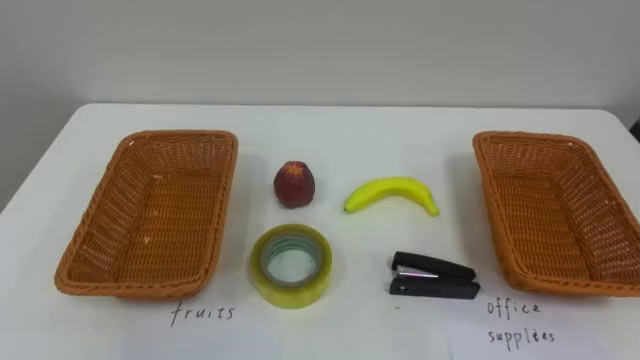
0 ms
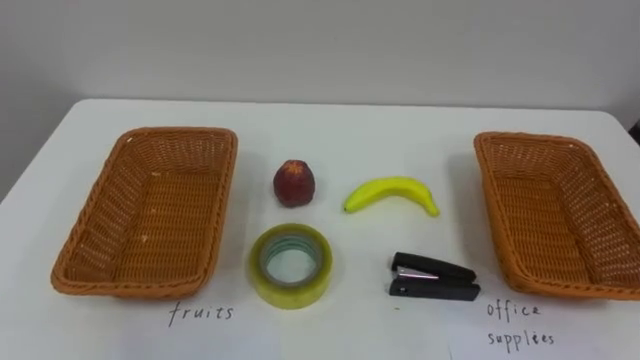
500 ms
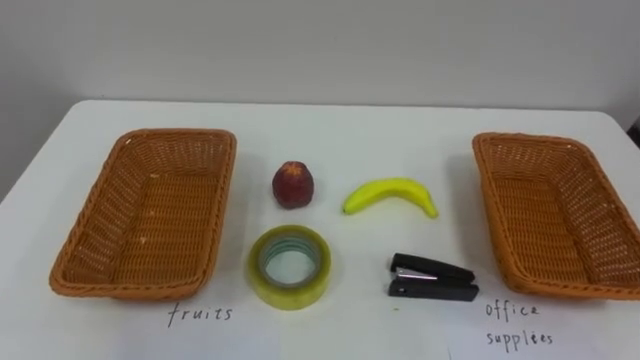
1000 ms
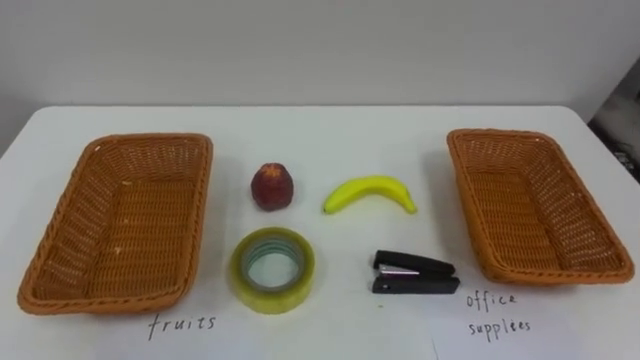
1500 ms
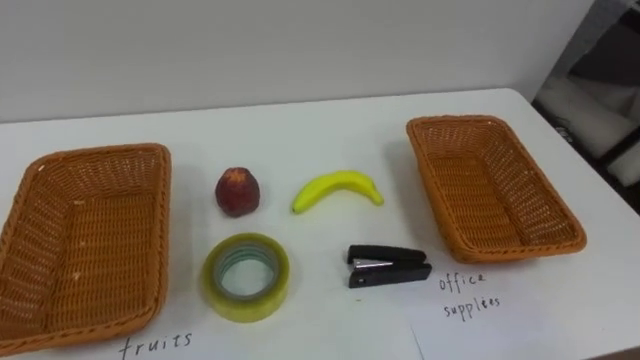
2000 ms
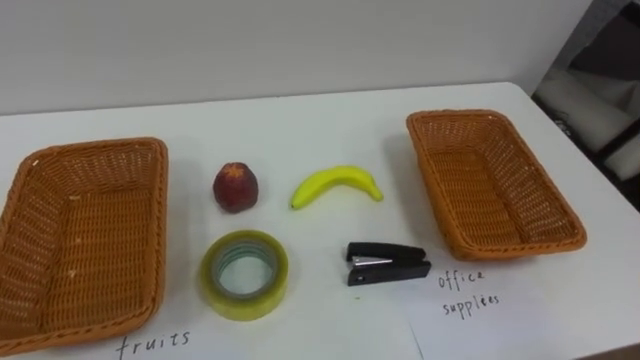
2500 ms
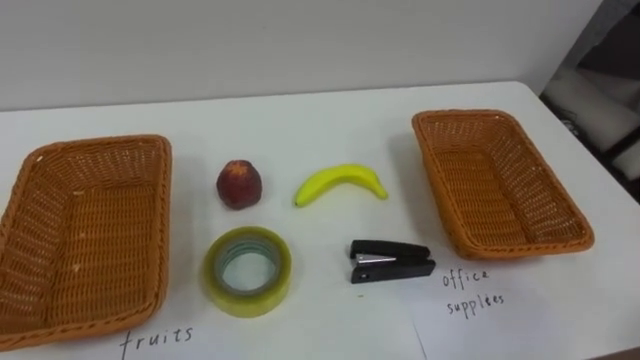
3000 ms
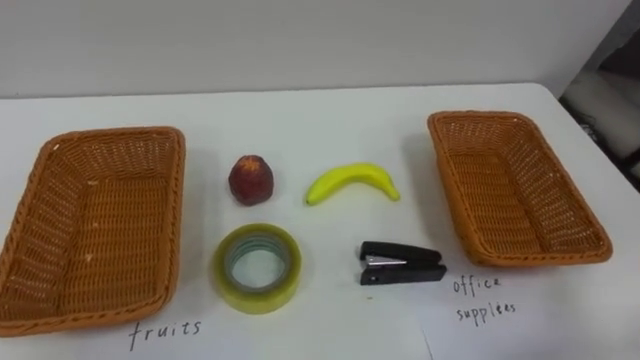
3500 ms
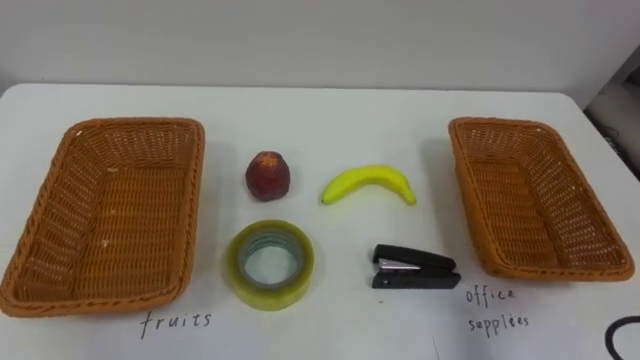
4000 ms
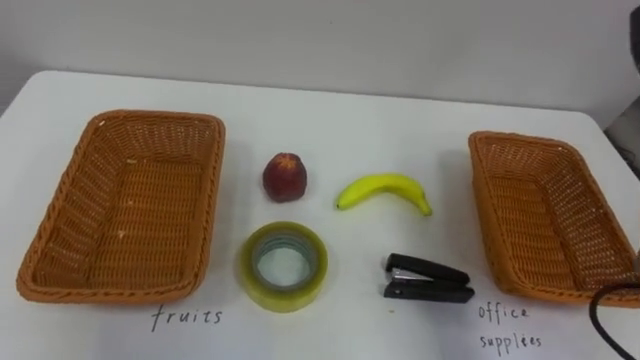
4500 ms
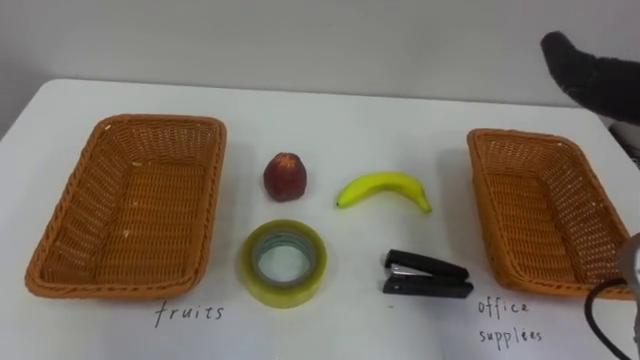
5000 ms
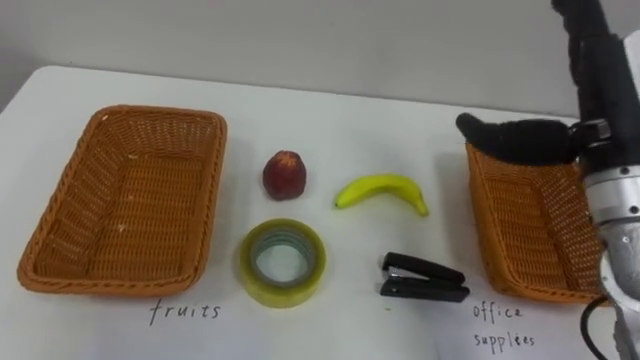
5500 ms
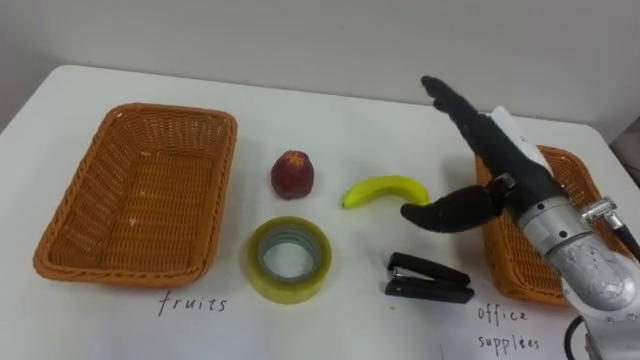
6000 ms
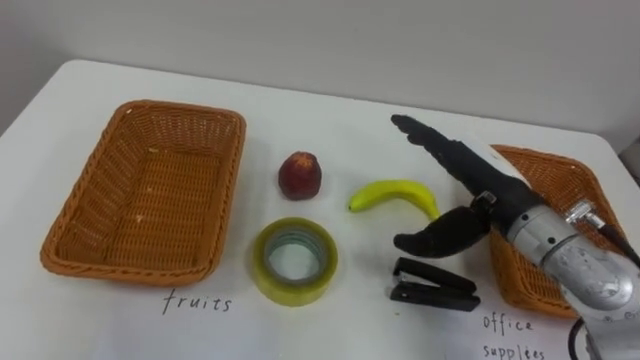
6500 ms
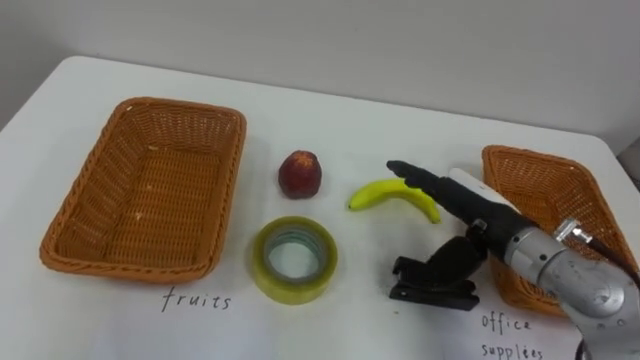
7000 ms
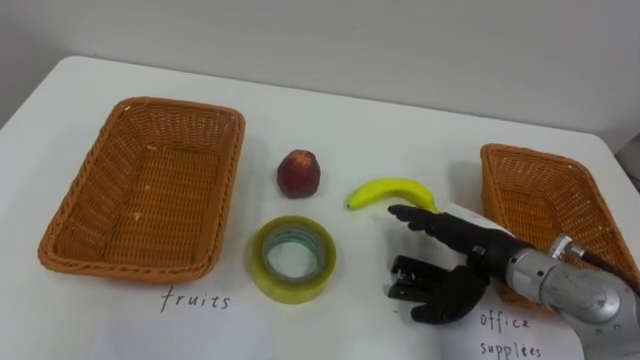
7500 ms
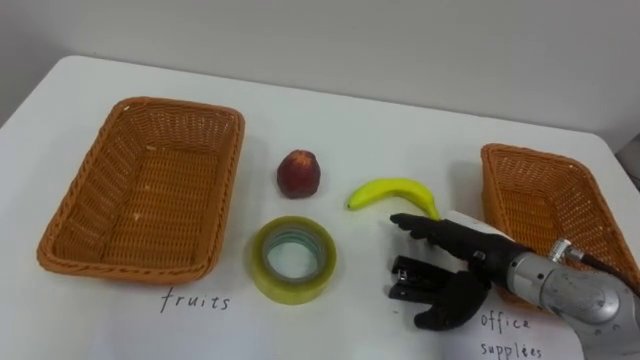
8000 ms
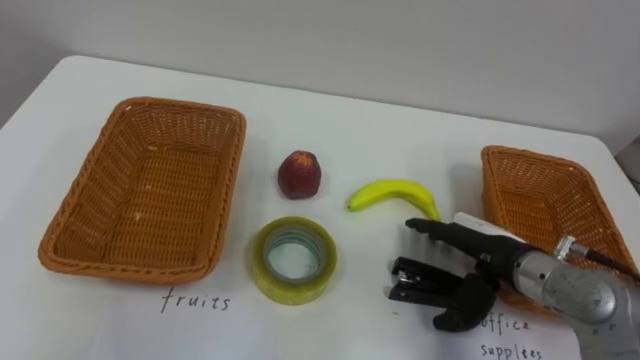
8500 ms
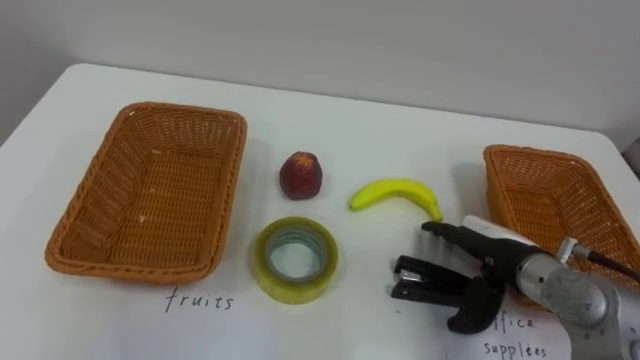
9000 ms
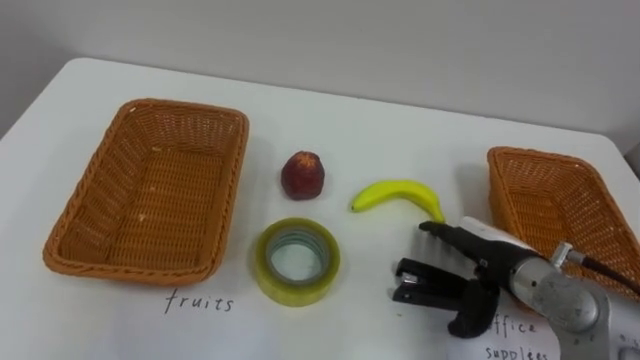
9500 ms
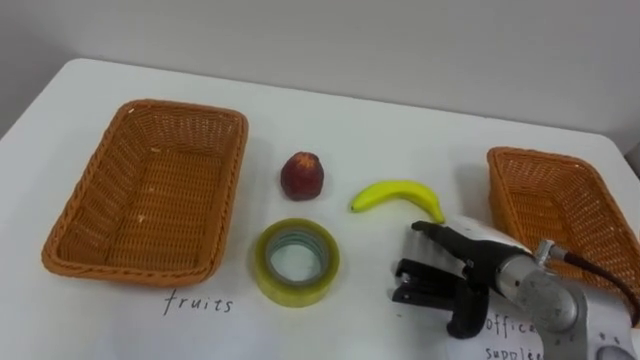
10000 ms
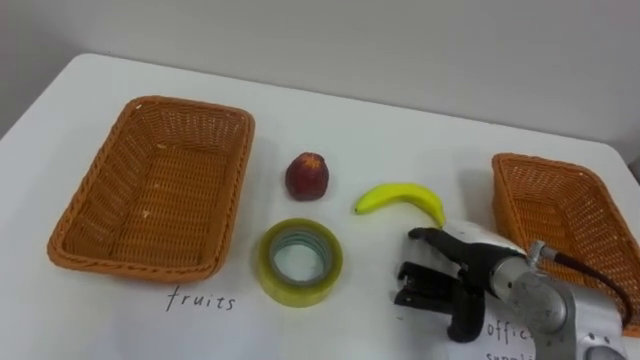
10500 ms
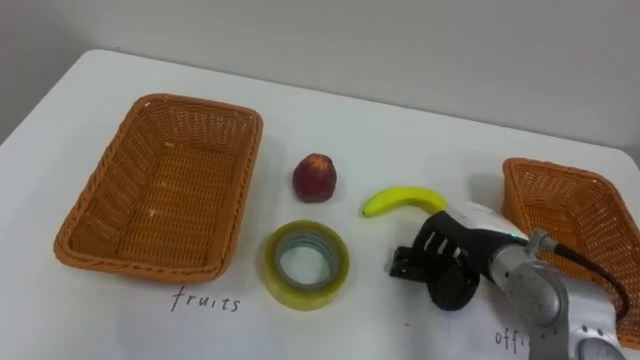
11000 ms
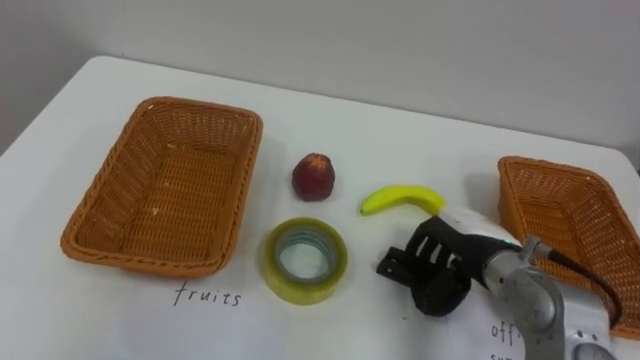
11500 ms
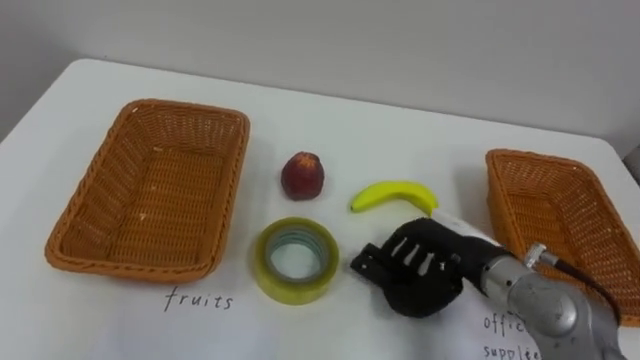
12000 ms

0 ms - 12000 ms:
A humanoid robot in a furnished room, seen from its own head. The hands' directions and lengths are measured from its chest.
Task of the whole recording: Separate the items on the table and place them into the two baskets.
6000 ms - 8000 ms: The right hand heads downward, covering some 10 cm.
10000 ms - 12000 ms: The right hand closes its fingers.

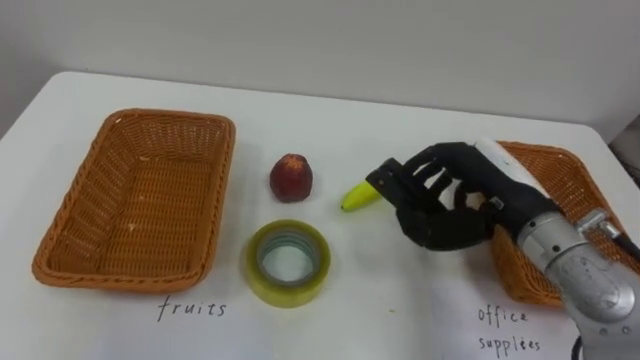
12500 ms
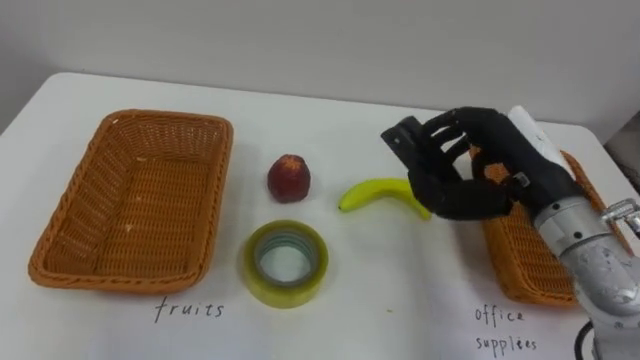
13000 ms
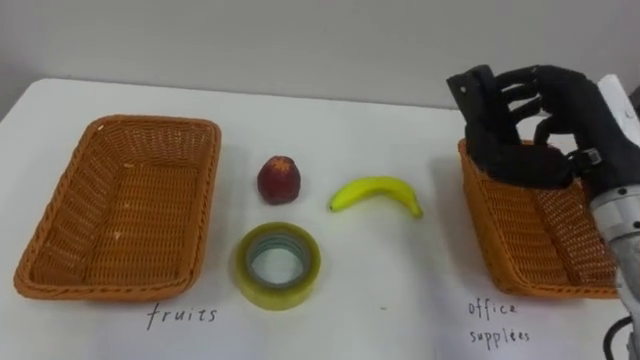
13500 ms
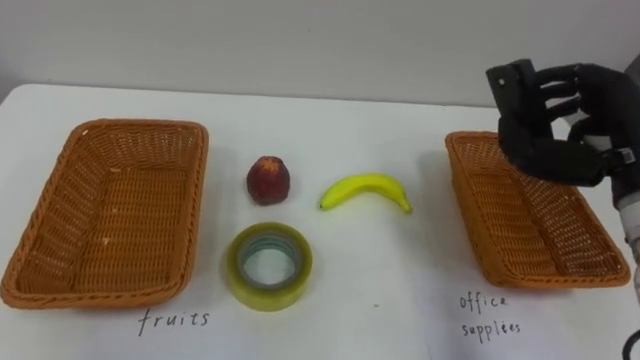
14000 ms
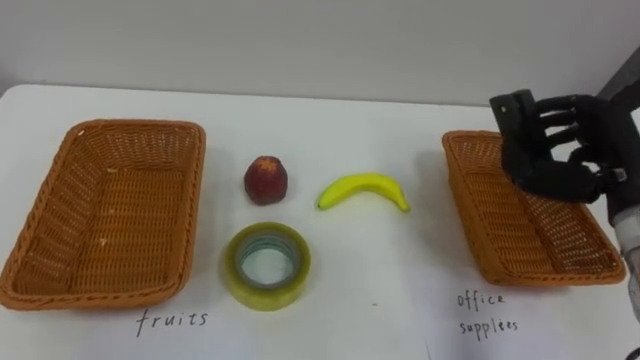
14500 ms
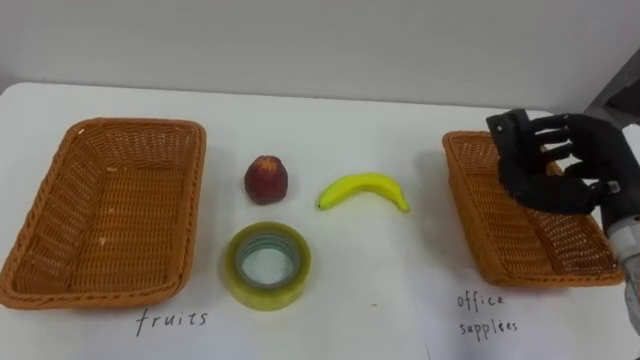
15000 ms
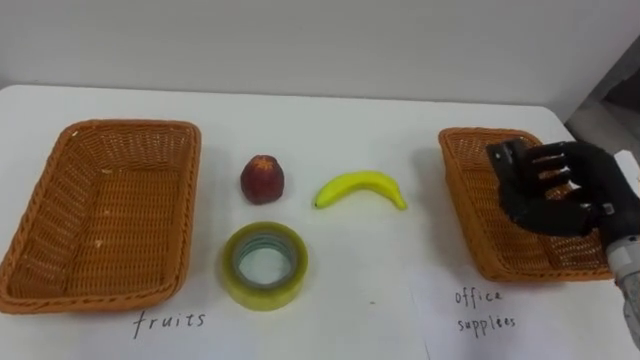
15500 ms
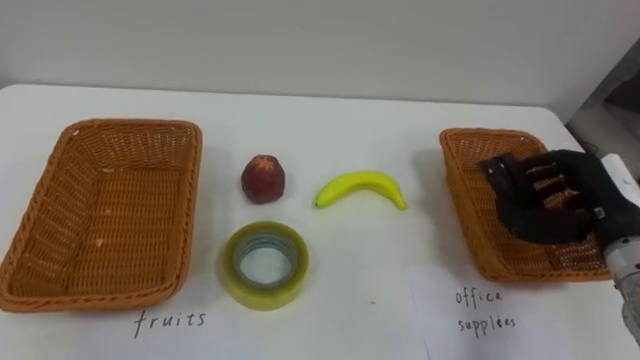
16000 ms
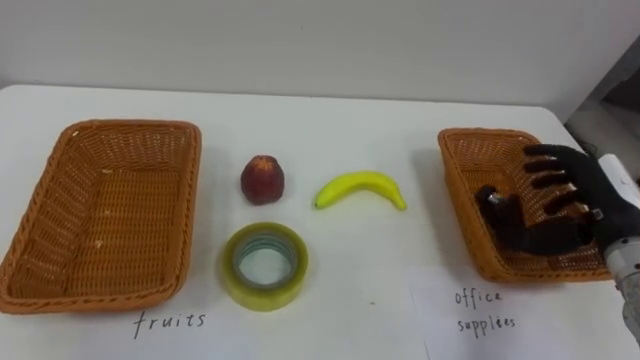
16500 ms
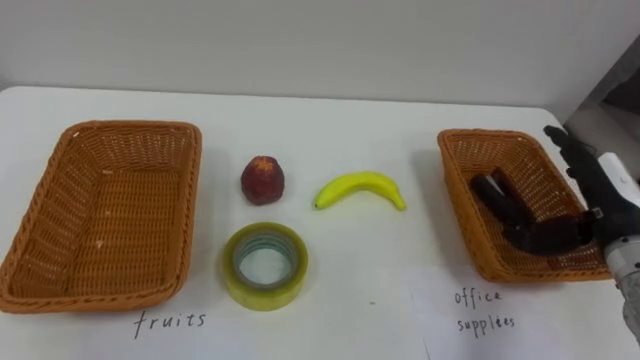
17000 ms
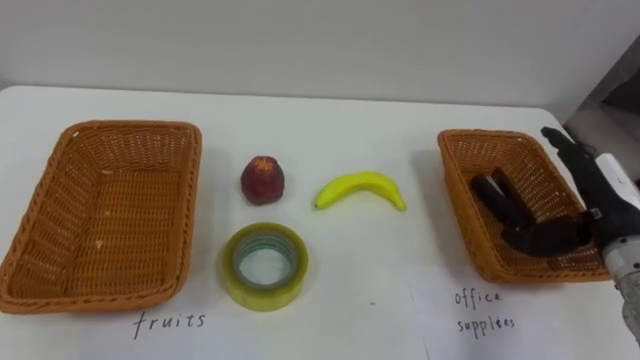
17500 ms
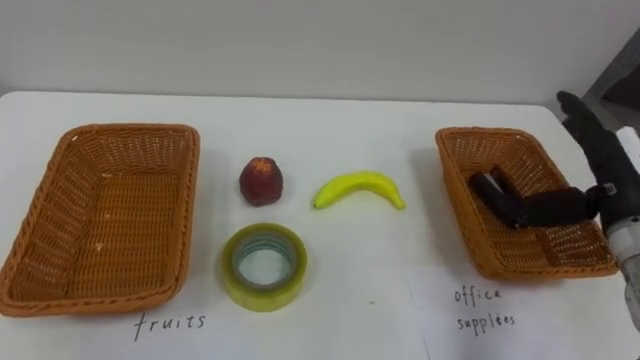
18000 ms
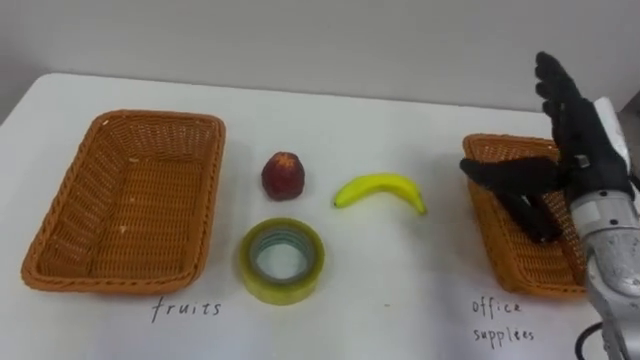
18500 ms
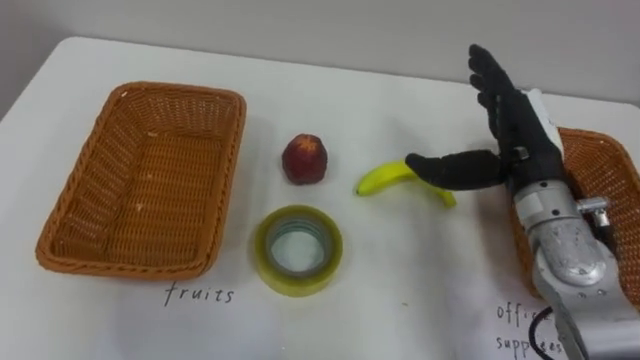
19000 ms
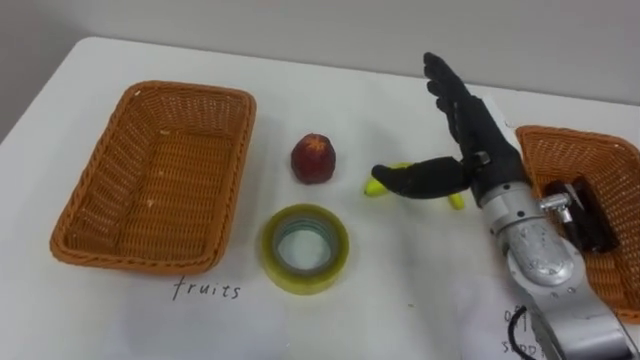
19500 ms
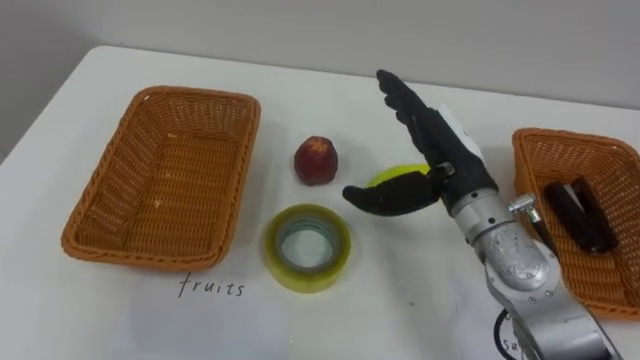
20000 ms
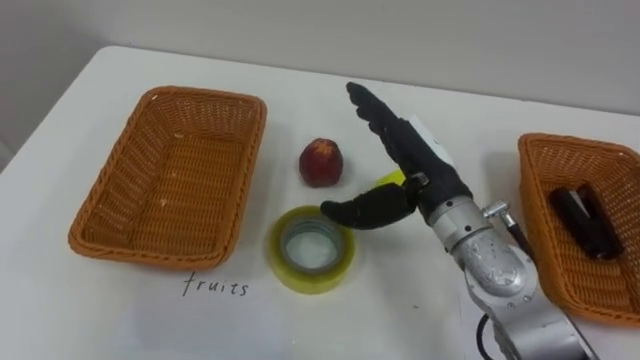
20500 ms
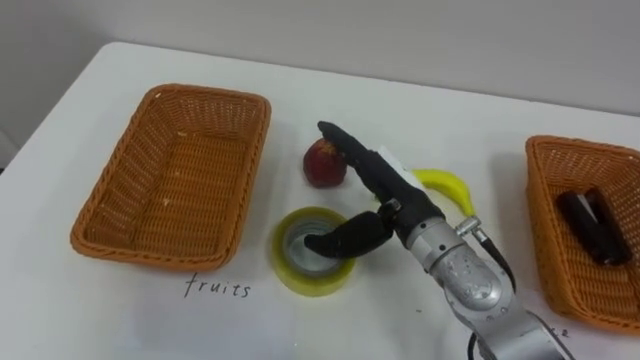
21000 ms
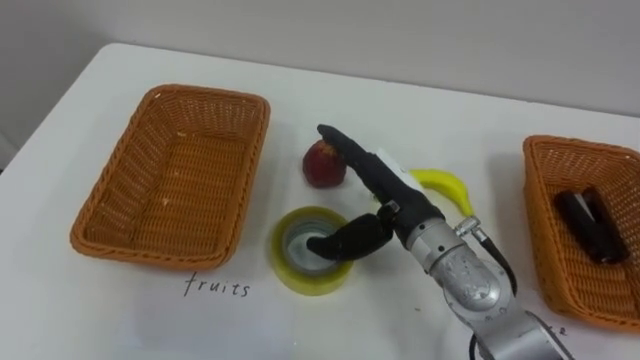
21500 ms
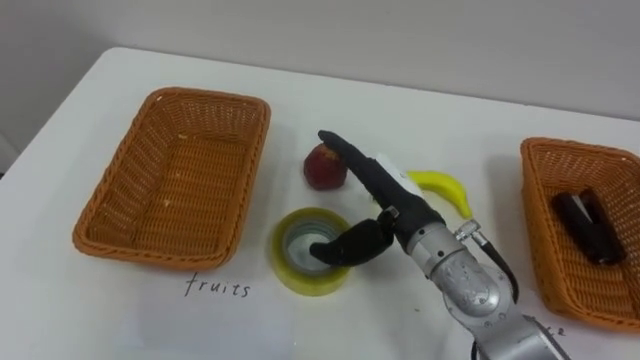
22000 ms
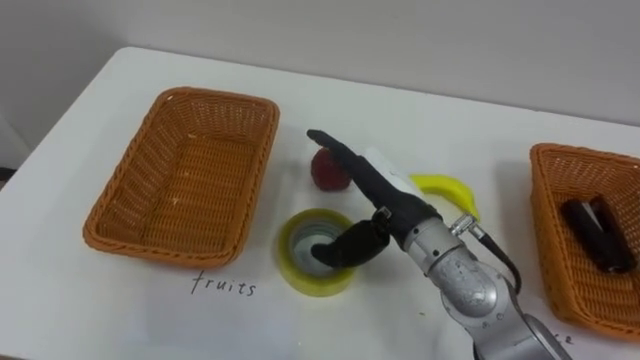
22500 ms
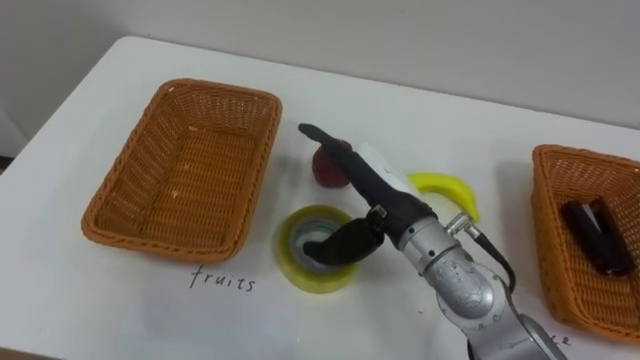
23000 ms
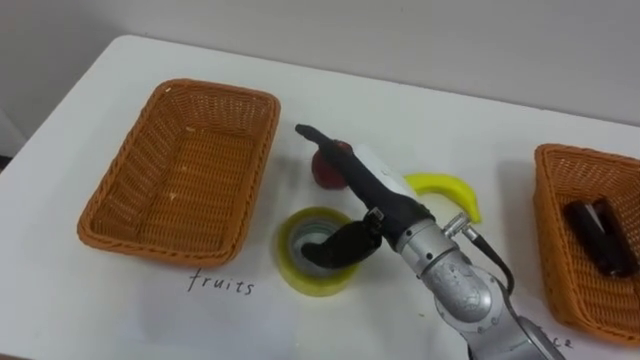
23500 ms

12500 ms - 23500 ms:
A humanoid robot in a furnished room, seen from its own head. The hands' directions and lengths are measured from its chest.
Task of the whole recording: Separate the items on the table and place them into the two baskets.
12500 ms - 14500 ms: The right hand is displaced to the right by some 10 cm.
14500 ms - 16000 ms: The right hand heads downward, covering some 5 cm.
16000 ms - 18000 ms: The right hand opens.
18000 ms - 20000 ms: The right hand is displaced to the left by about 20 cm.
20000 ms - 21500 ms: The right hand is displaced to the left by roughly 5 cm.
